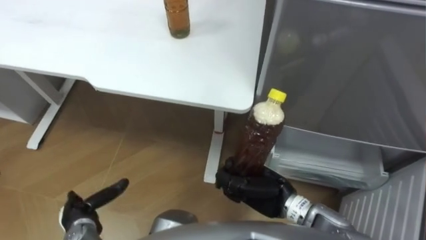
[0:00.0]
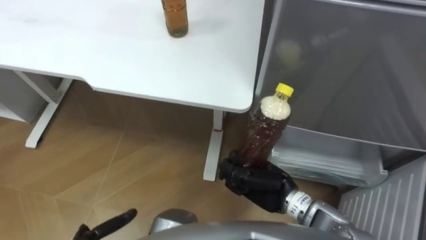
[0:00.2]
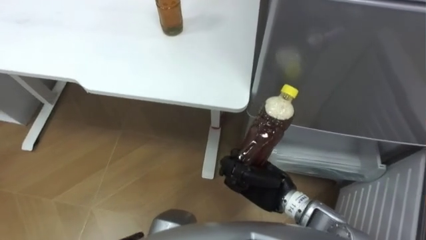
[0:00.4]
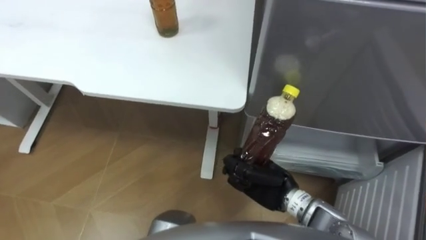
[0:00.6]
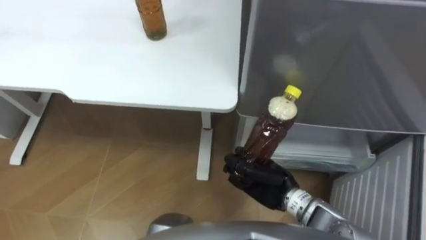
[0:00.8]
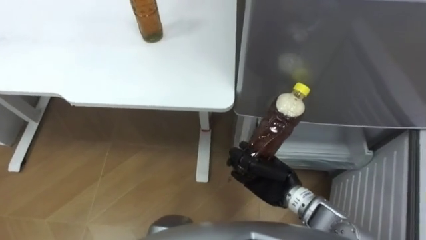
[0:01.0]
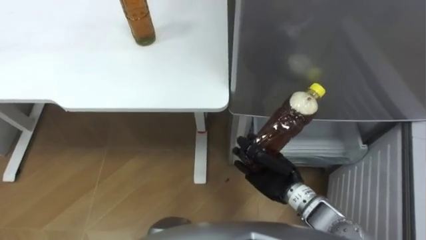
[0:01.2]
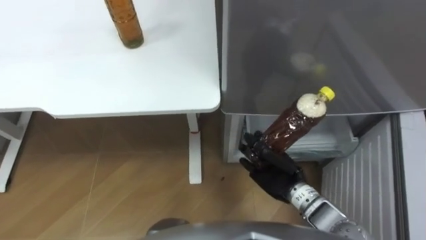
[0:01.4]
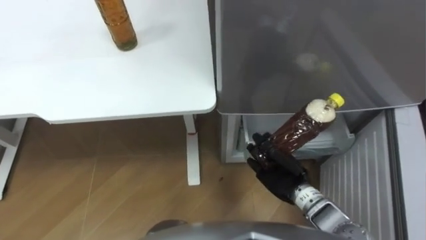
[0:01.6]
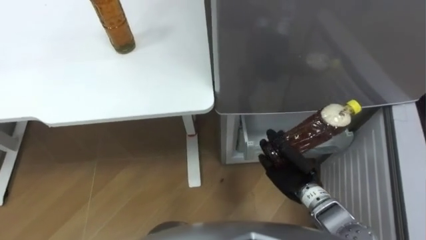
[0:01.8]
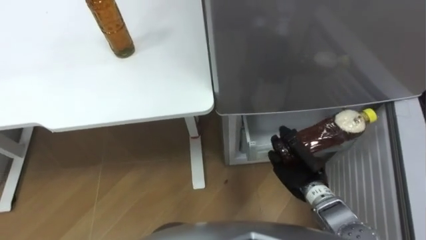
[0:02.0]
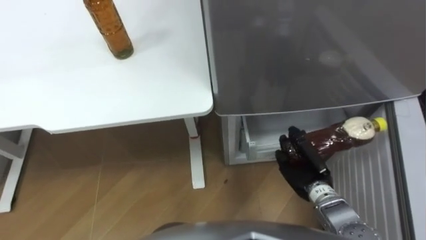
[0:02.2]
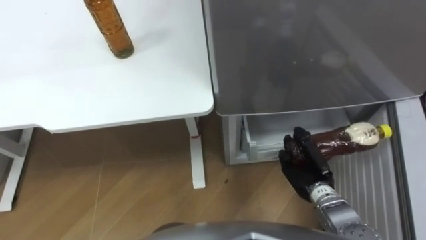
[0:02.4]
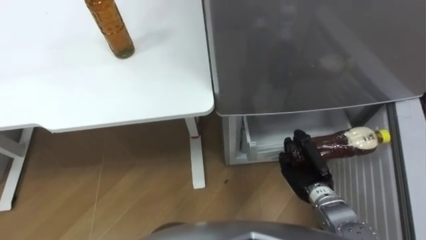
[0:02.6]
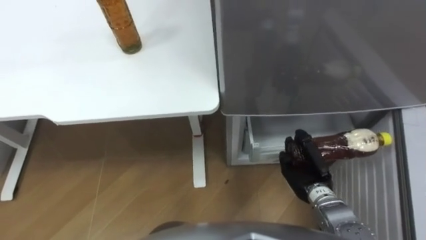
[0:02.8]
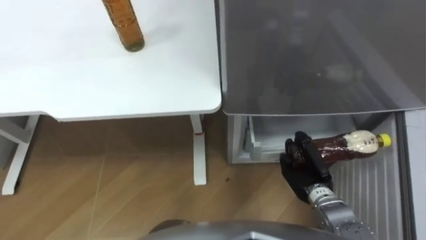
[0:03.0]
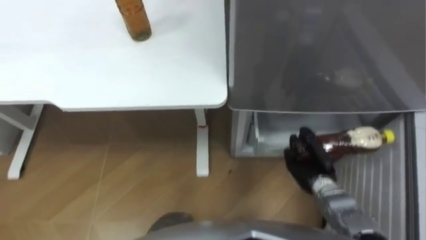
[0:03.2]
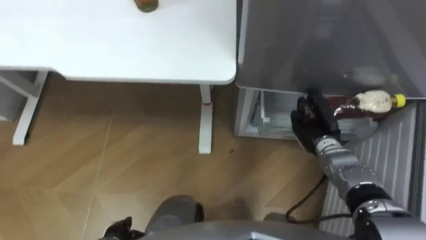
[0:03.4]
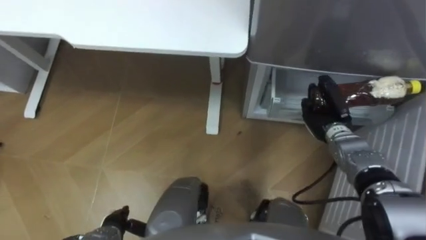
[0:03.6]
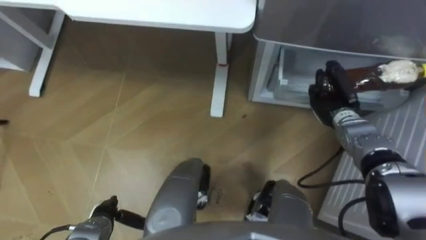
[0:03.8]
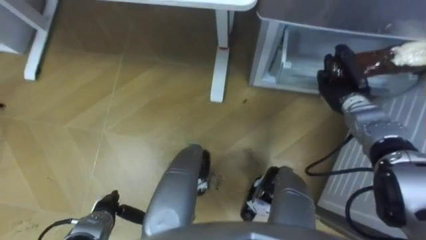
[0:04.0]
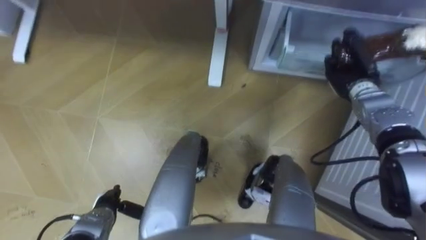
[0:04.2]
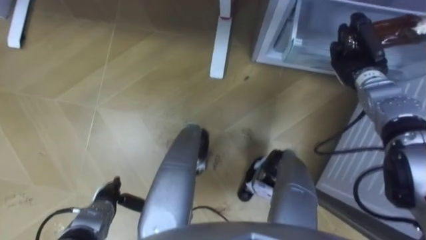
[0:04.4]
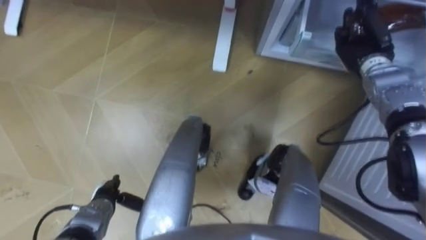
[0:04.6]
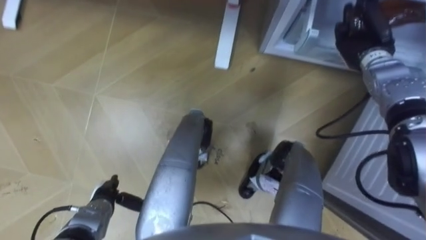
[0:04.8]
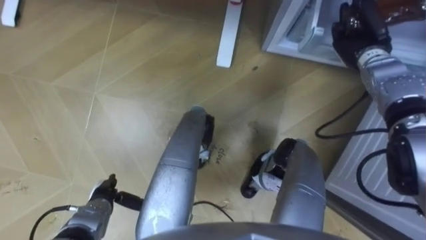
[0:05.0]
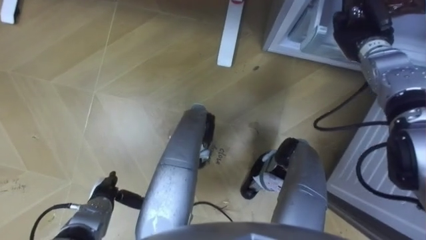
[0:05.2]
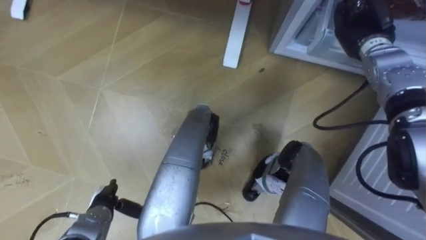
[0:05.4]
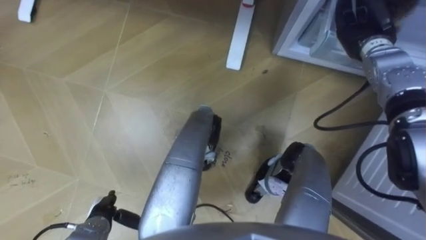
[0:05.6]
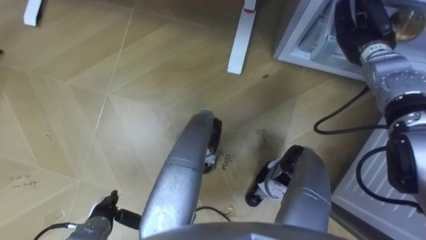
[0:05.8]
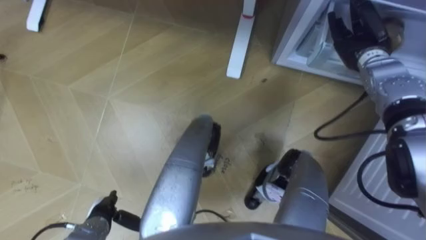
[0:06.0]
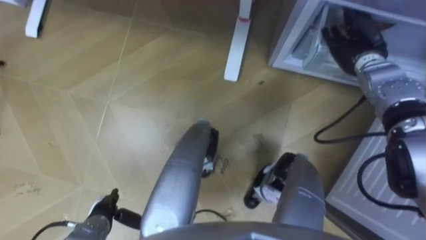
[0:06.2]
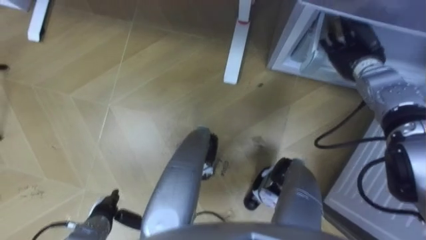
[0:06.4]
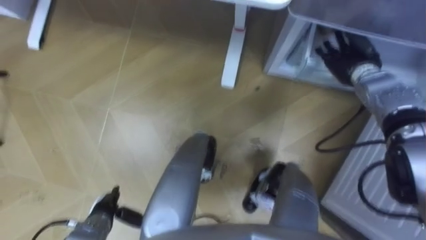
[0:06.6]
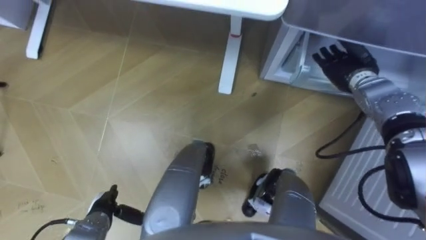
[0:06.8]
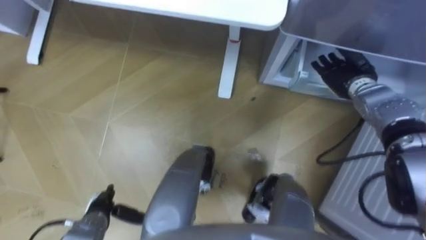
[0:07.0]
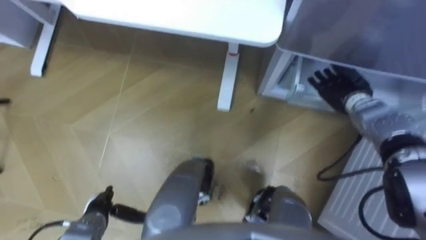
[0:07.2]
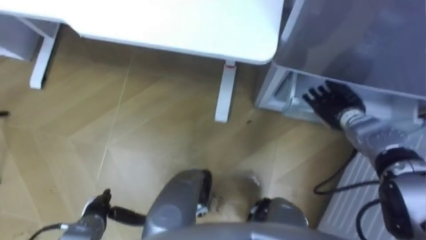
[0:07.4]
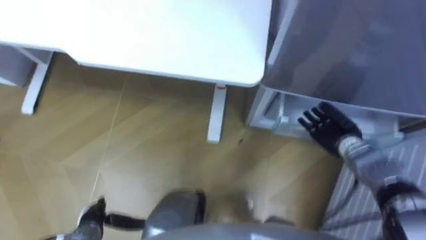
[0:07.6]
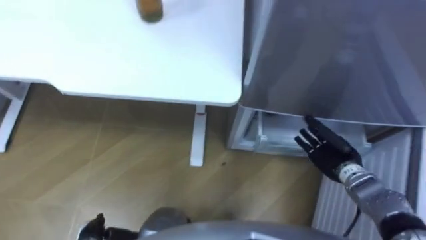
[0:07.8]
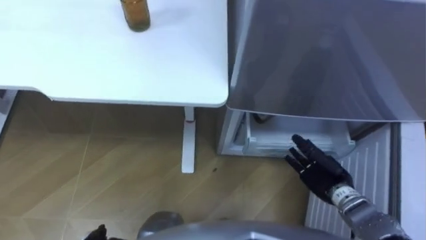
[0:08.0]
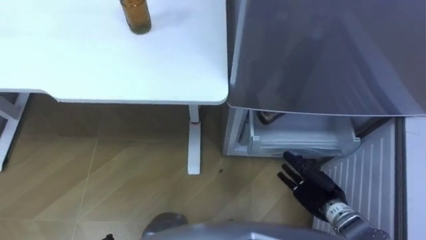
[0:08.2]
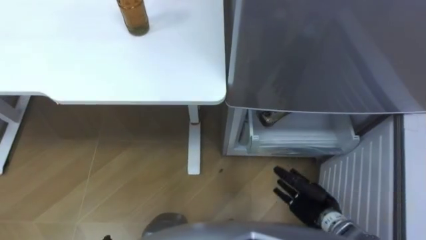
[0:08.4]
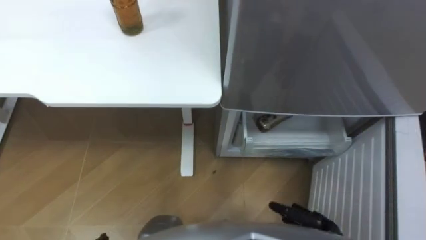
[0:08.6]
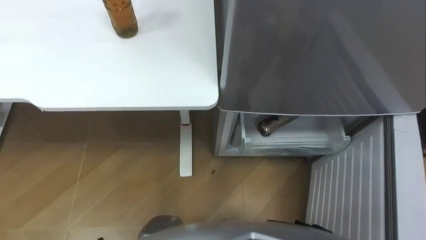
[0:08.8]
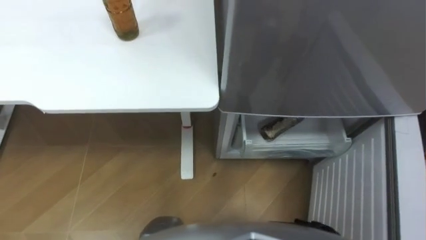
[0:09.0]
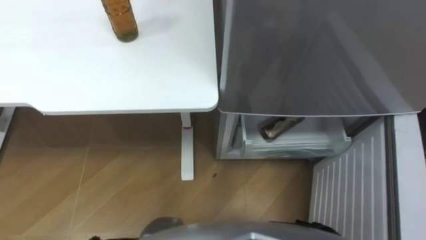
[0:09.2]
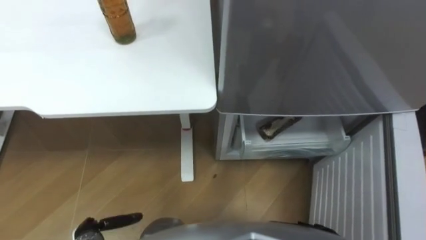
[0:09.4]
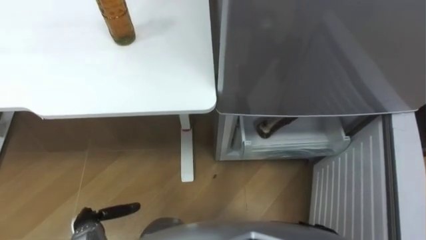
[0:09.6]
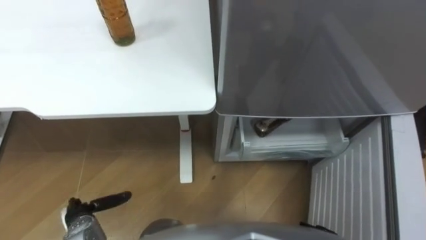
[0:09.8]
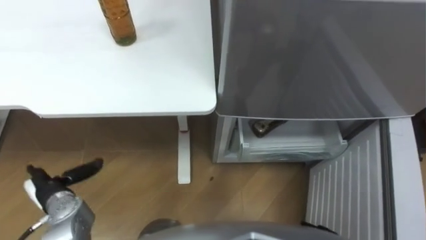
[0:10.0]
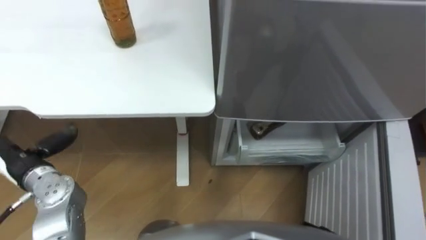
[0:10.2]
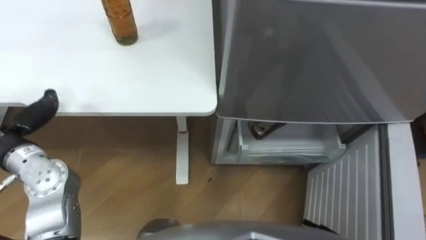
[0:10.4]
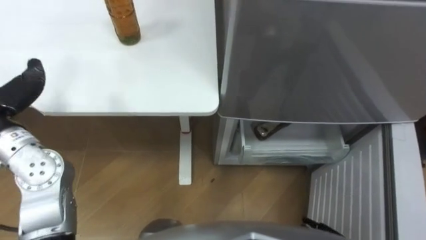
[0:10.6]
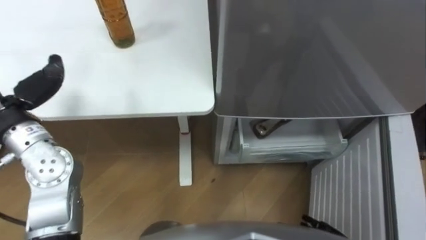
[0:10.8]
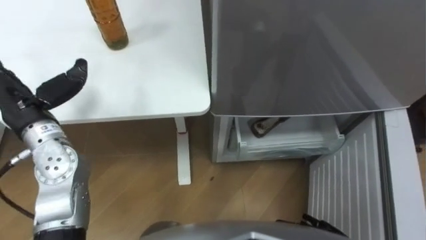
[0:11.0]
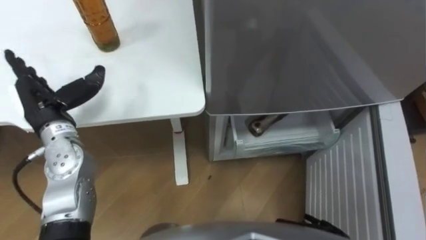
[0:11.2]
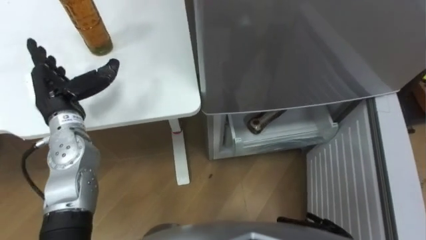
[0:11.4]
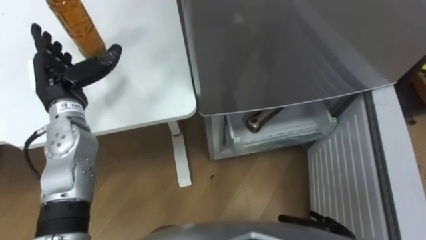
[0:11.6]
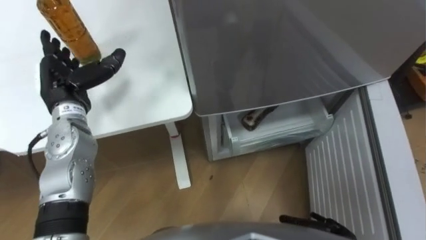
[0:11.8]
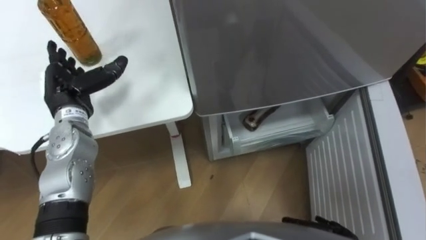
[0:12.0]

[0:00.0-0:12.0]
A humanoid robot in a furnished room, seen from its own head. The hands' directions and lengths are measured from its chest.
Task of the whole recording: Place the drink on the table on the bottom shelf of the refrigerator, then close the drawer and the refrigerator door.
0:00.0 to 0:01.6: The right hand moves roughly 5 cm.
0:01.6 to 0:03.0: The right hand heads to the right, covering about 5 cm.
0:03.0 to 0:04.4: The right hand heads forward, upward and to the right, covering about 25 cm.
0:04.4 to 0:06.0: The right hand opens.
0:06.0 to 0:07.6: The right hand travels backward and downward by roughly 20 cm.

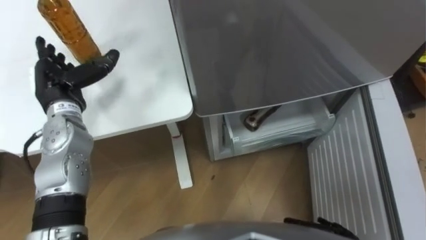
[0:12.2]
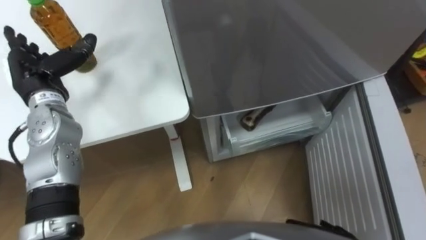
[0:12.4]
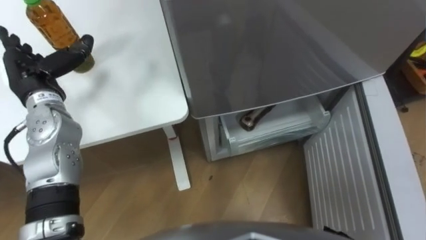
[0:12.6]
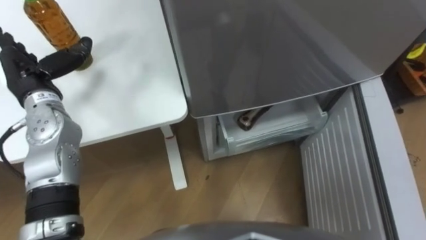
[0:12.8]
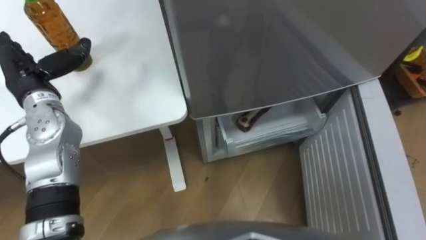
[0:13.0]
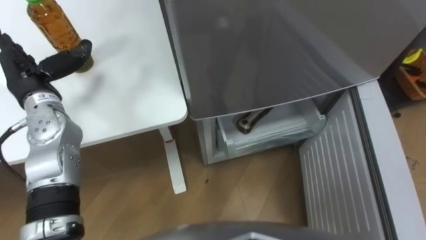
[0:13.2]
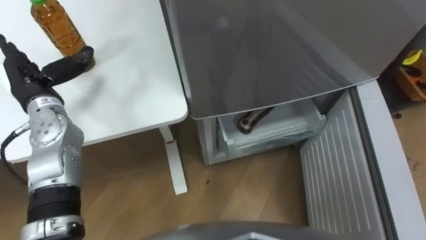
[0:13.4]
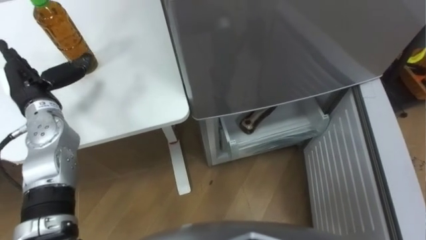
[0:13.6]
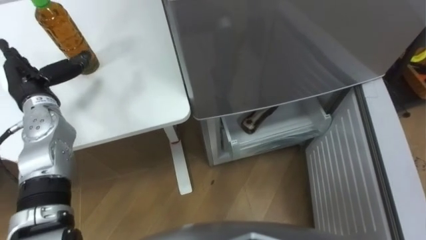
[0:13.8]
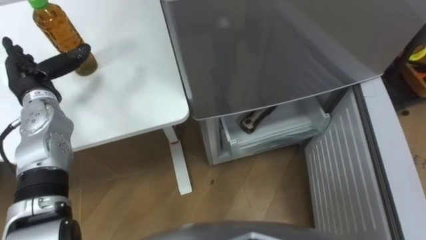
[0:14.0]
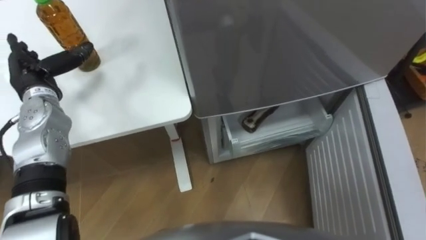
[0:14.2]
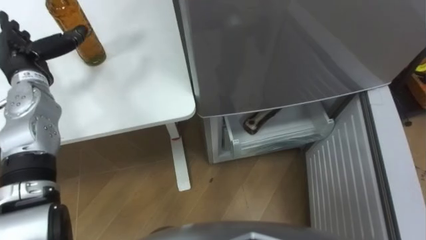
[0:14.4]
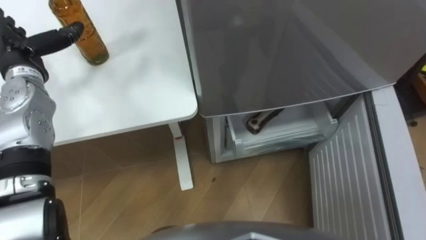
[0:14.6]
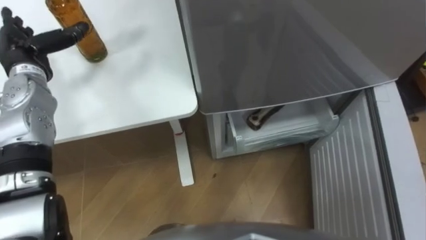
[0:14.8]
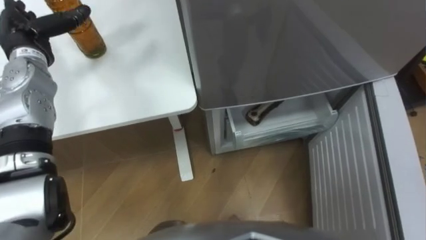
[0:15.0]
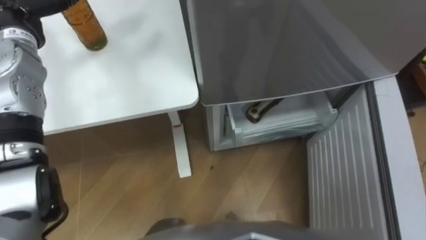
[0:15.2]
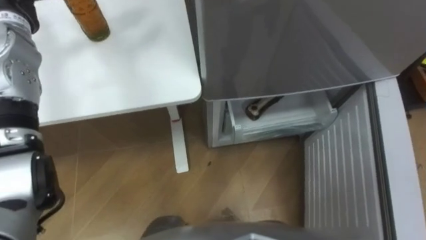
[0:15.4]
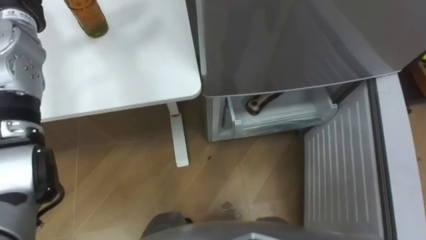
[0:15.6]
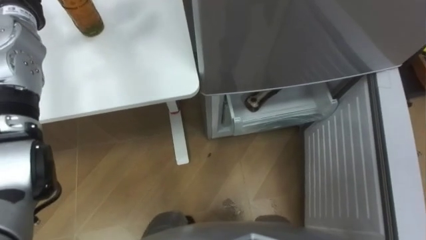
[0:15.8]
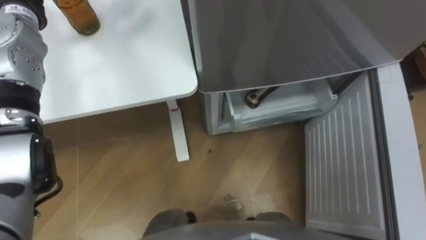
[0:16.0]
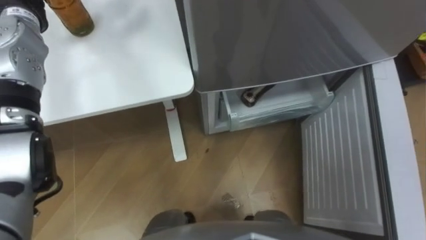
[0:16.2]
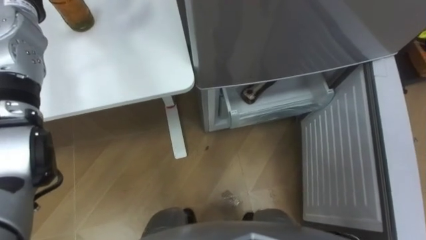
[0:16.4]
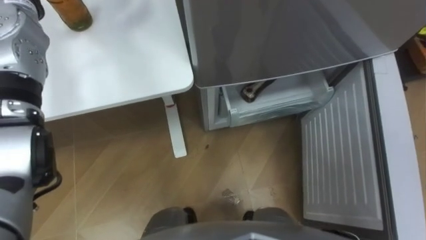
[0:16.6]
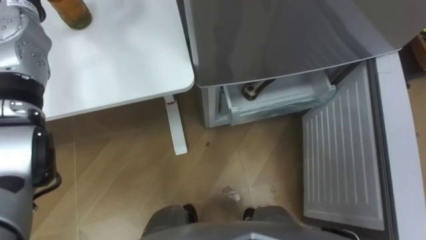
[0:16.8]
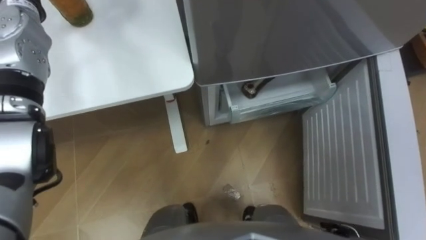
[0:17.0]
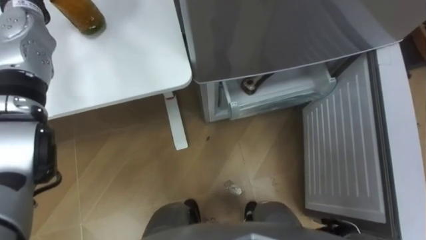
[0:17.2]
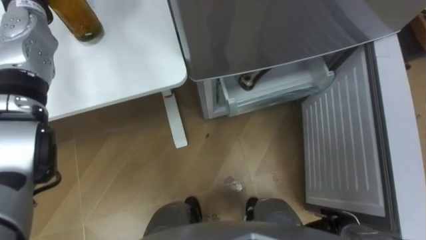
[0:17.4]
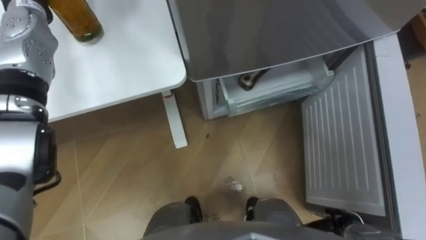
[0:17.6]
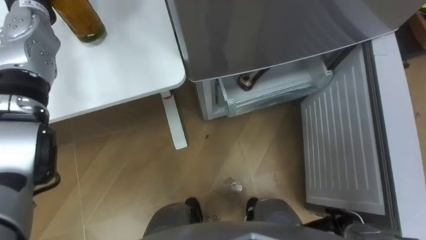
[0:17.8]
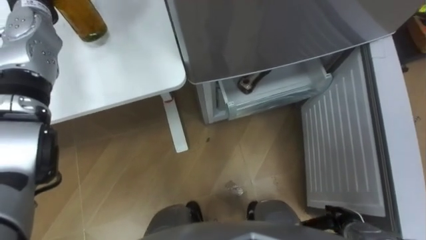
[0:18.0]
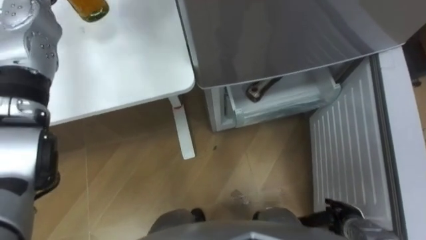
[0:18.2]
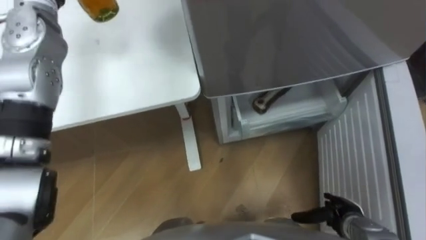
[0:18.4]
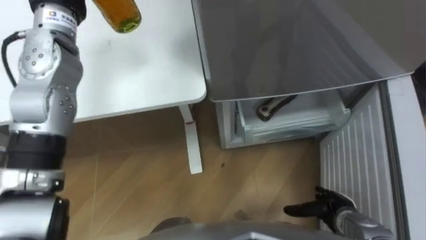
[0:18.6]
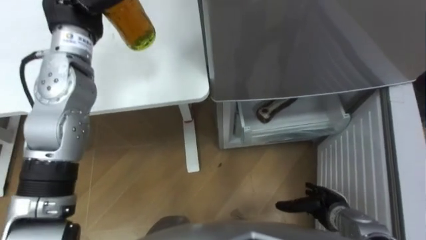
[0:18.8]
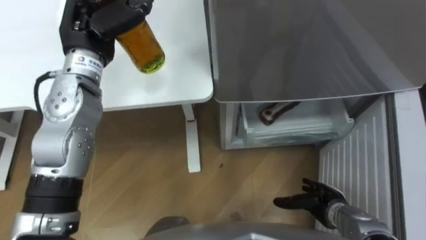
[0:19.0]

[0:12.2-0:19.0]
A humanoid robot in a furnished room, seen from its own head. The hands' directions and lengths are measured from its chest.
Task of the whole recording: Place the drink on the table on the bottom shelf of the refrigerator, then close the drawer and the refrigerator door.
0:13.6 to 0:15.0: The left hand shifts about 10 cm forward.
0:17.6 to 0:19.0: The right hand moves forward, roughly 5 cm.
